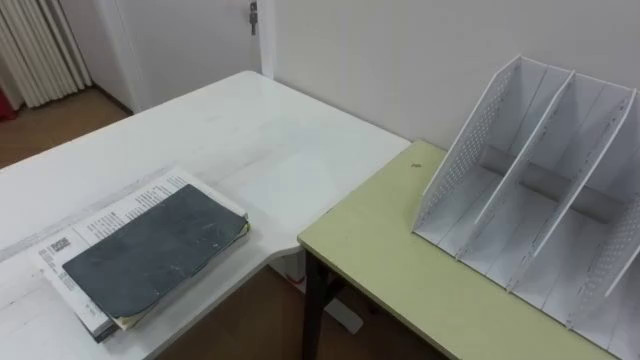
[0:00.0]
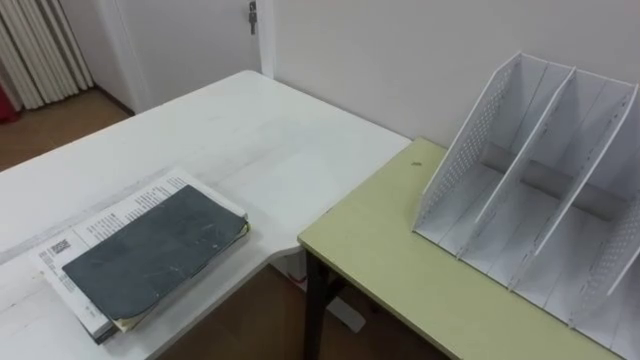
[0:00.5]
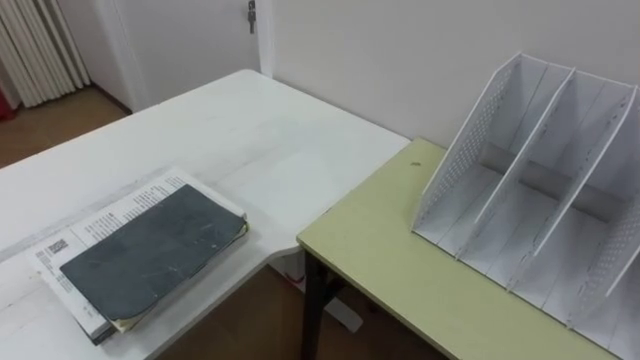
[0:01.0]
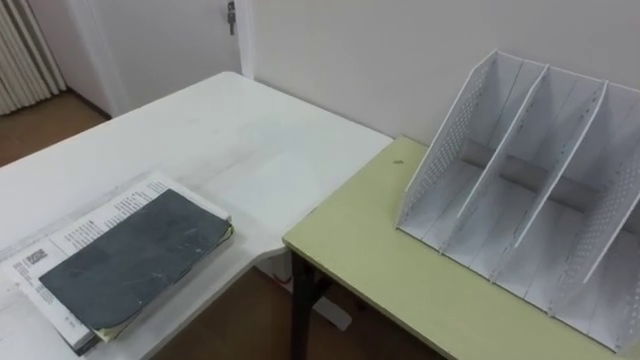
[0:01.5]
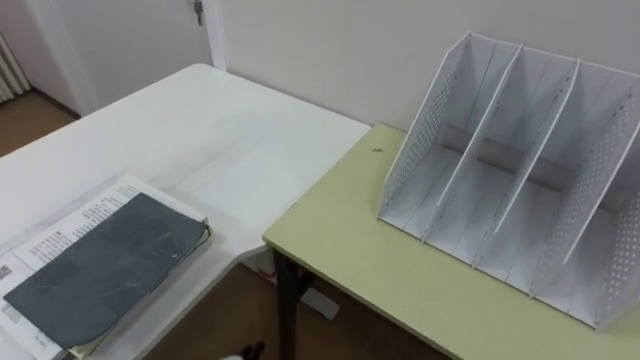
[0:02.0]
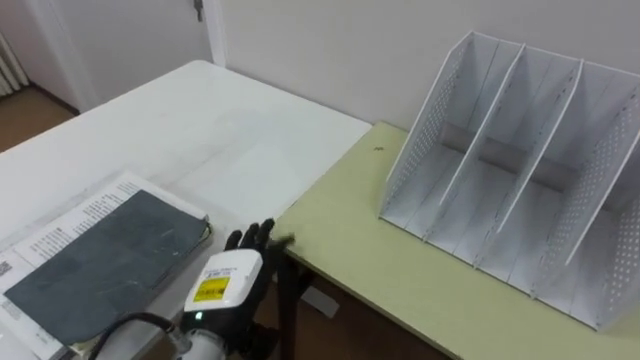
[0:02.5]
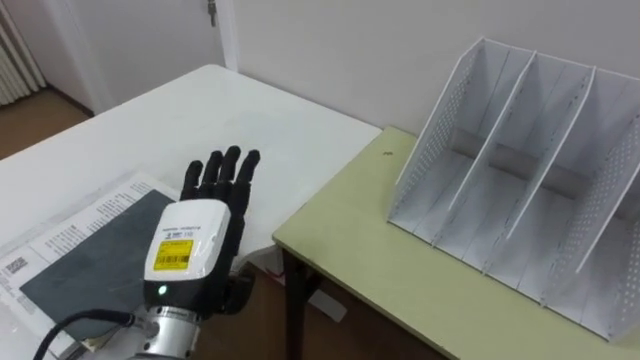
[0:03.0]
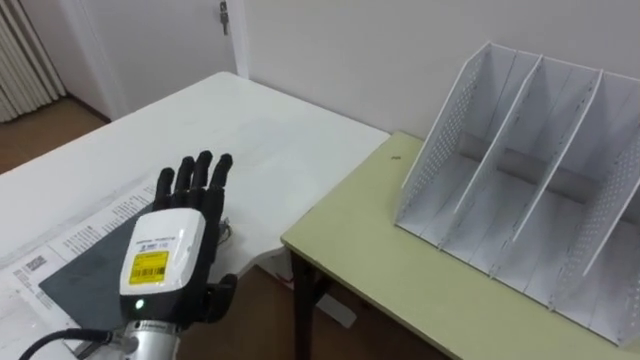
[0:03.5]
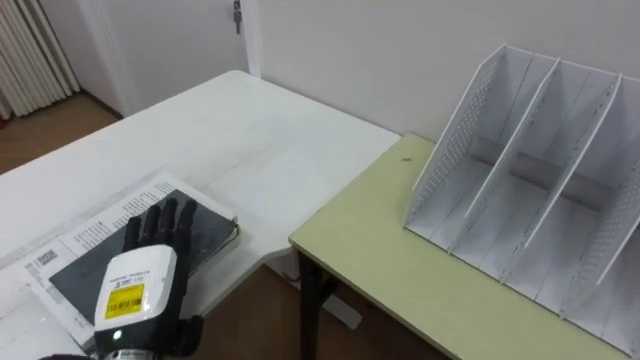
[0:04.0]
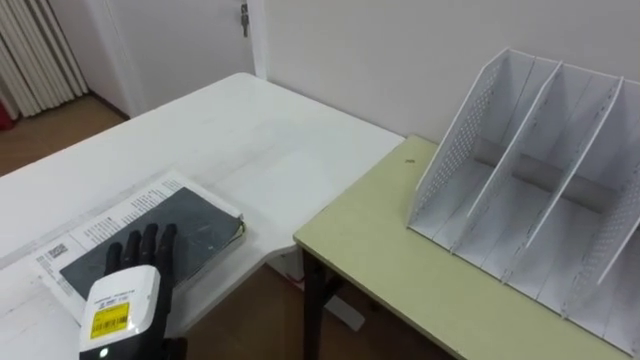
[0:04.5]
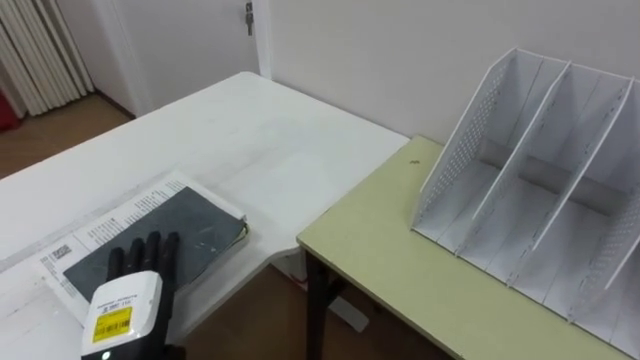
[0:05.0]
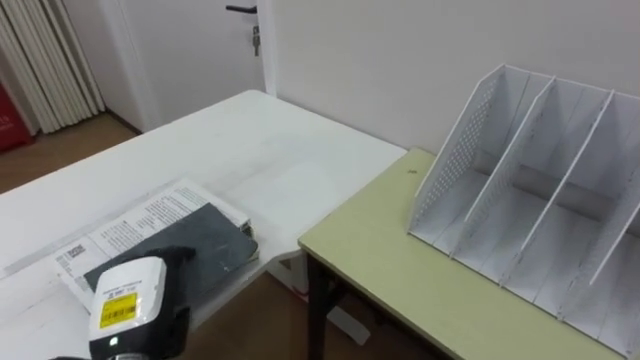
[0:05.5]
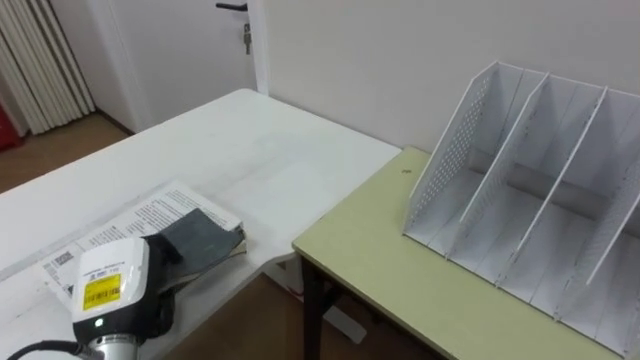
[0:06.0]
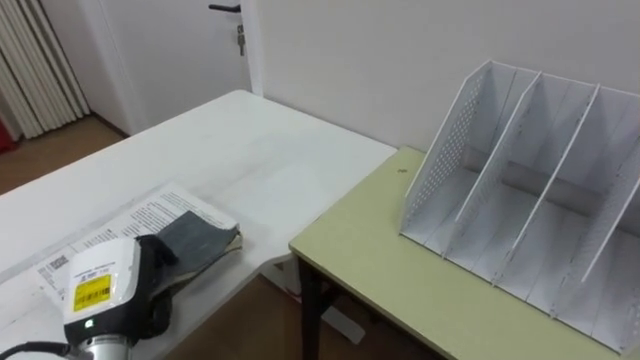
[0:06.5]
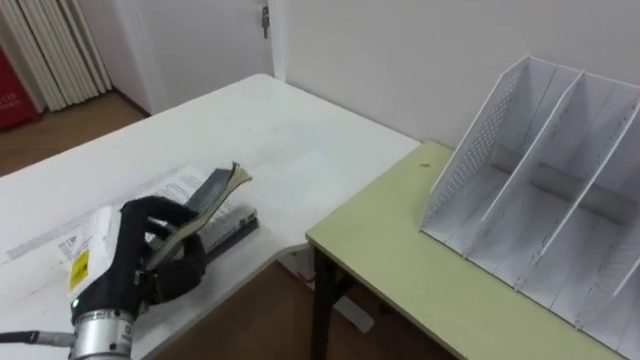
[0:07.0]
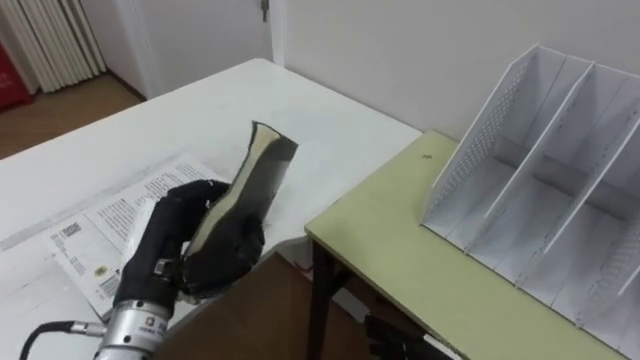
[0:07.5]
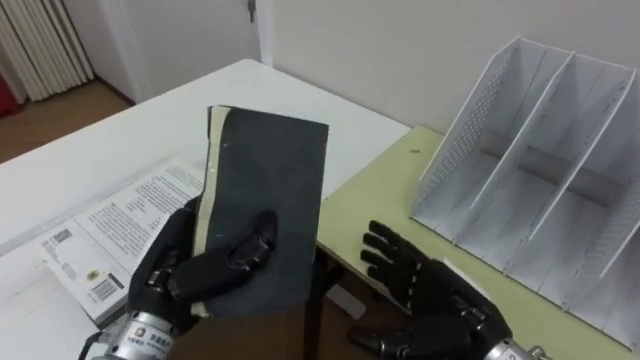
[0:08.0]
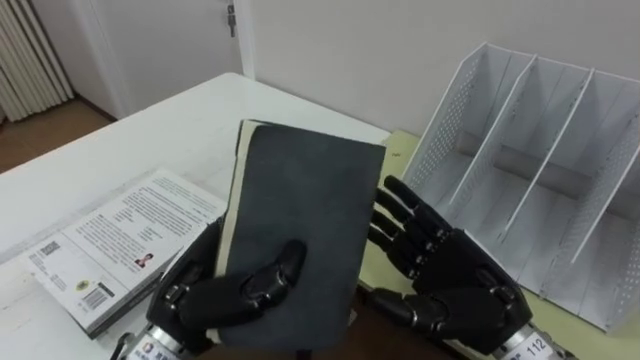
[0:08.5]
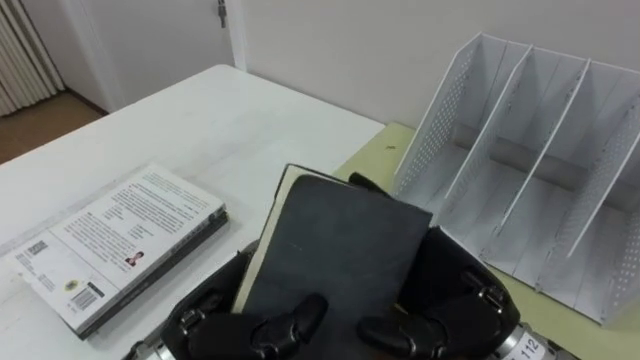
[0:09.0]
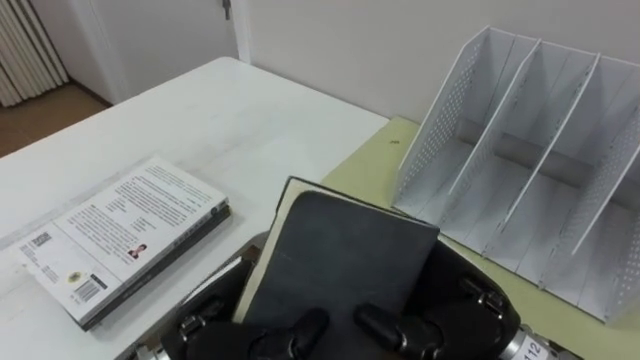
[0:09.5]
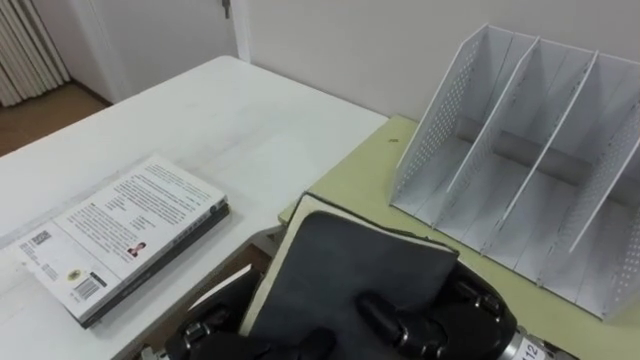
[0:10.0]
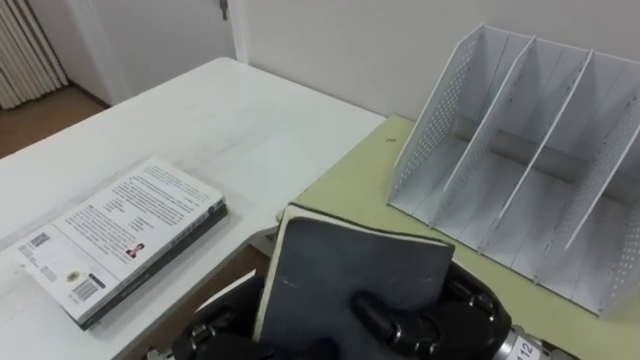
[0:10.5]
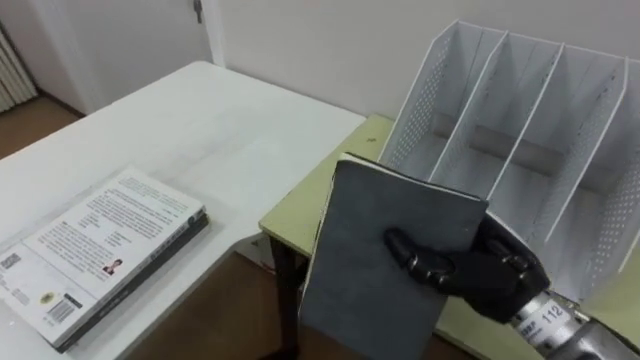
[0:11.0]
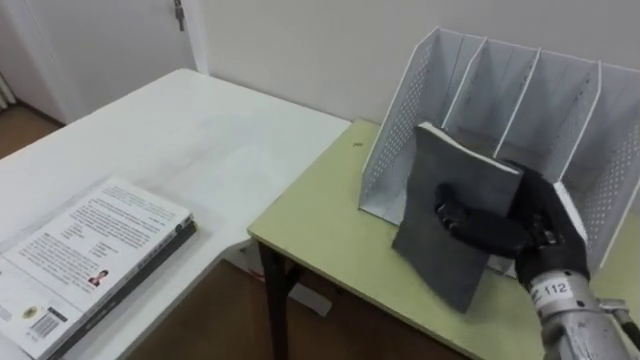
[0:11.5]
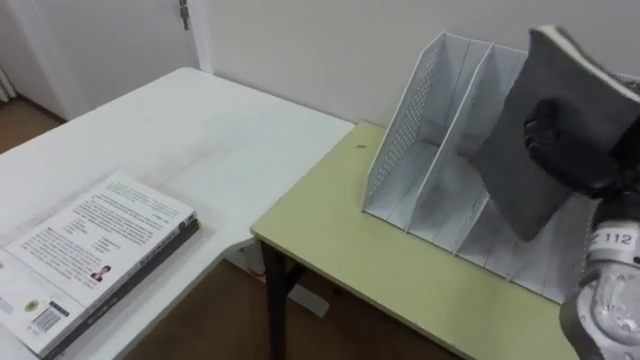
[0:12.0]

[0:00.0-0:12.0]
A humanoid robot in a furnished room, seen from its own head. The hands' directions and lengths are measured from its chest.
Task of the whole recording: Put the books on the table onto the bookshelf.
0:04.0 to 0:06.0: The left hand closes its fingers.
0:06.0 to 0:08.0: The left hand heads to the right and upward, covering some 10 cm.
0:08.0 to 0:10.0: The left hand travels to the right and backward by some 10 cm. The right hand heads upward, covering some 10 cm, and closes.
0:10.0 to 0:12.0: The right hand is displaced to the right and upward by about 20 cm.
